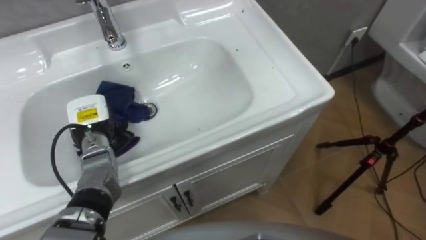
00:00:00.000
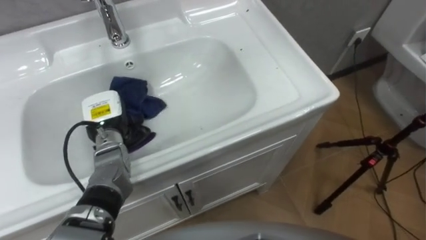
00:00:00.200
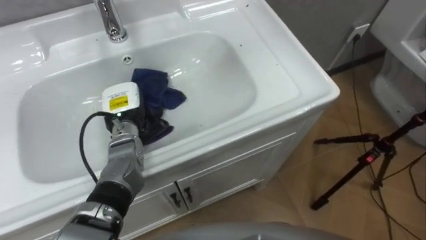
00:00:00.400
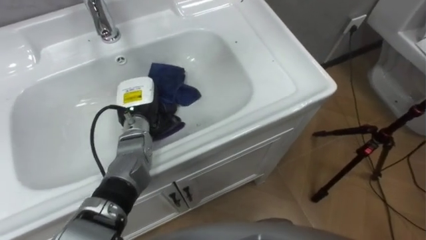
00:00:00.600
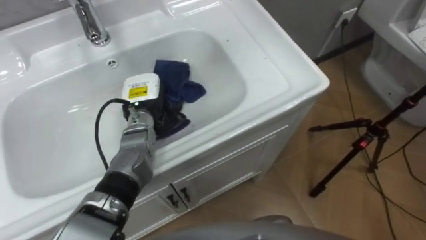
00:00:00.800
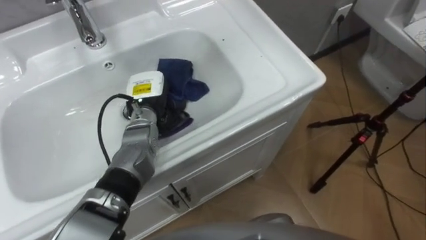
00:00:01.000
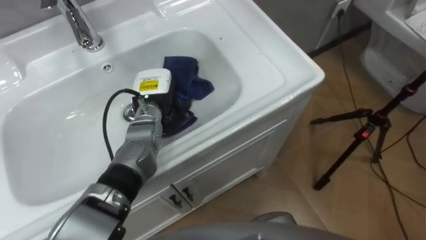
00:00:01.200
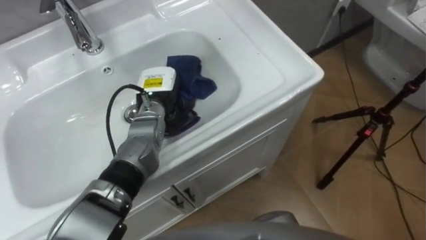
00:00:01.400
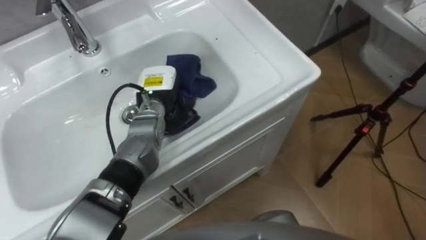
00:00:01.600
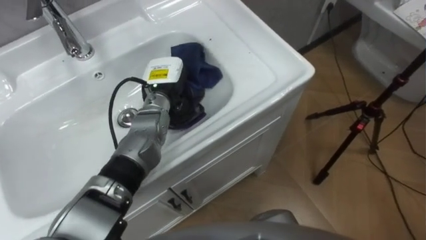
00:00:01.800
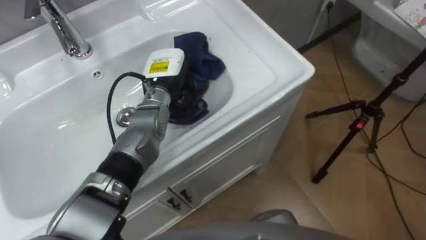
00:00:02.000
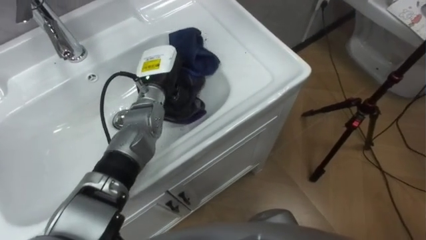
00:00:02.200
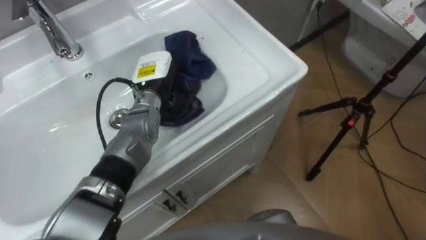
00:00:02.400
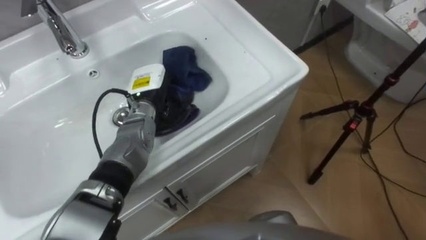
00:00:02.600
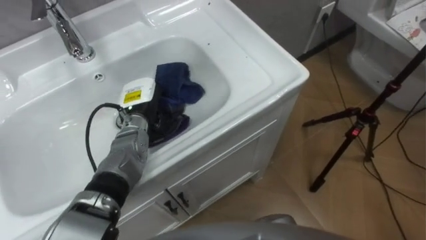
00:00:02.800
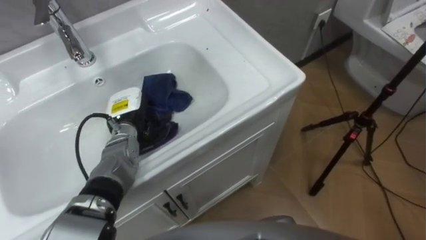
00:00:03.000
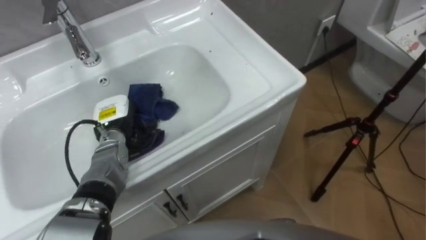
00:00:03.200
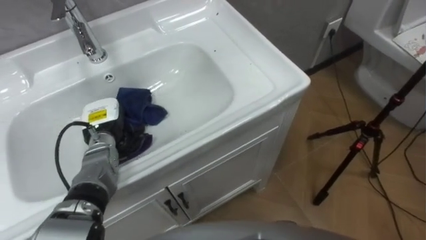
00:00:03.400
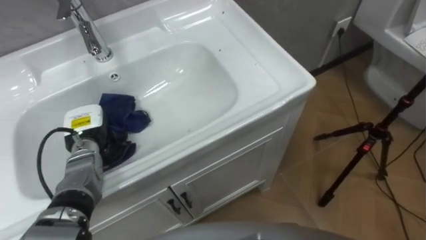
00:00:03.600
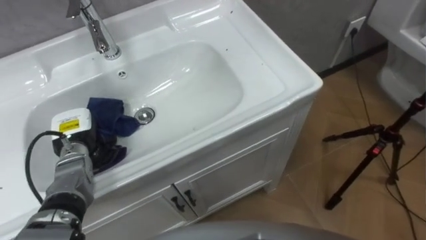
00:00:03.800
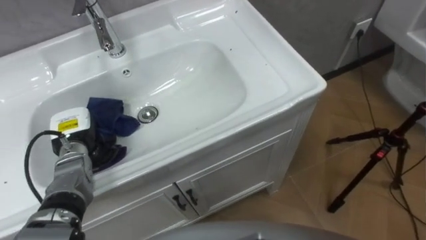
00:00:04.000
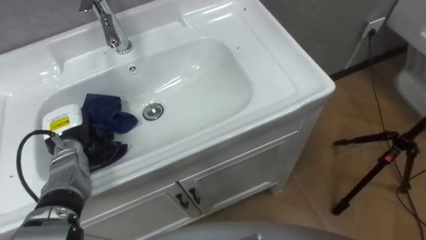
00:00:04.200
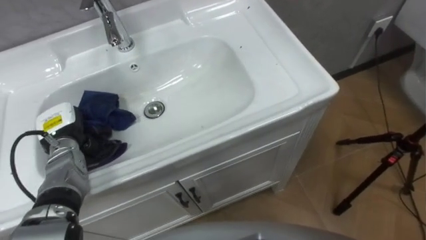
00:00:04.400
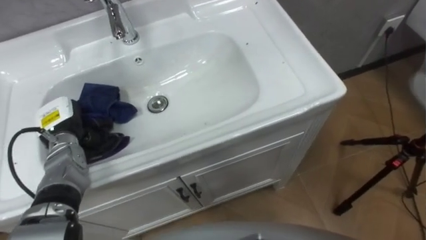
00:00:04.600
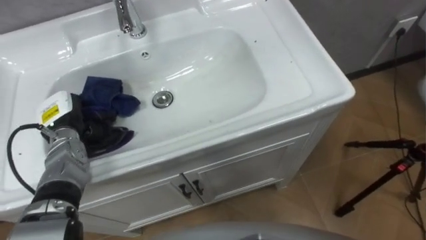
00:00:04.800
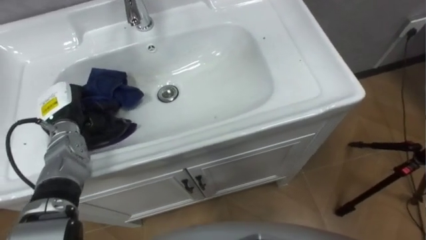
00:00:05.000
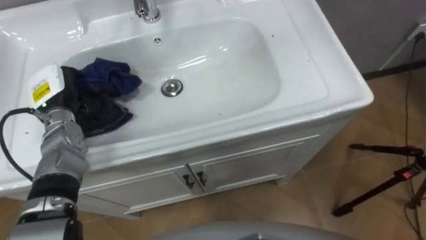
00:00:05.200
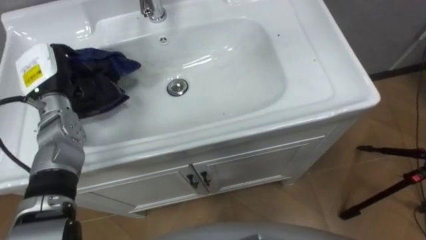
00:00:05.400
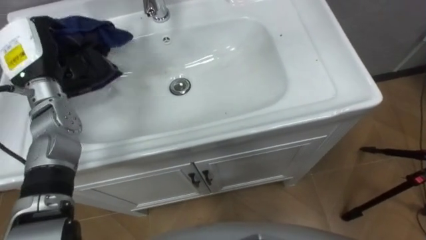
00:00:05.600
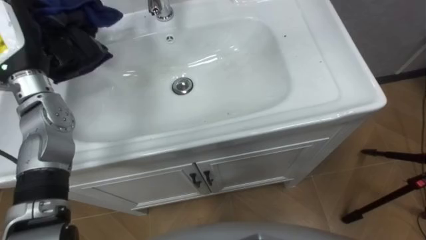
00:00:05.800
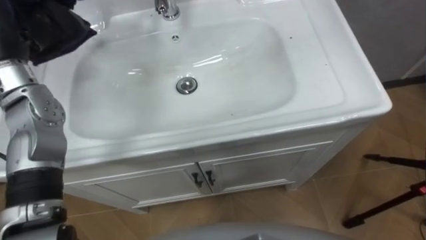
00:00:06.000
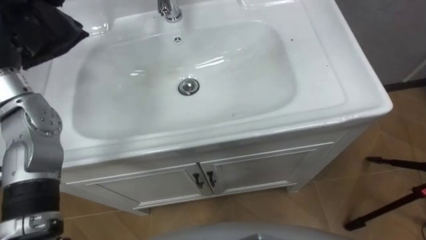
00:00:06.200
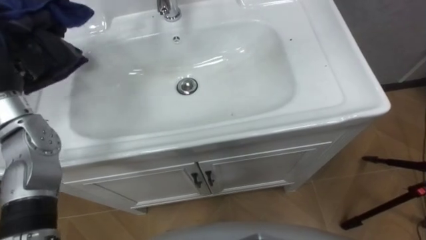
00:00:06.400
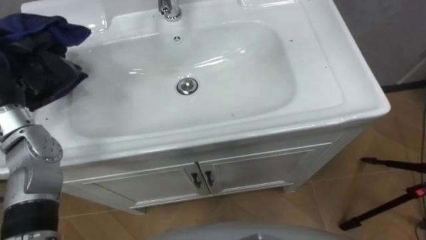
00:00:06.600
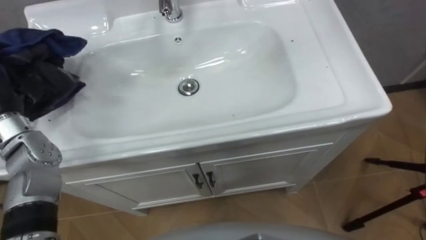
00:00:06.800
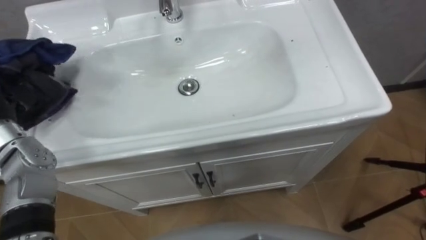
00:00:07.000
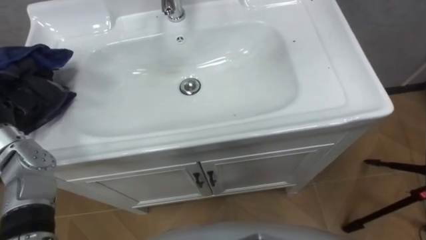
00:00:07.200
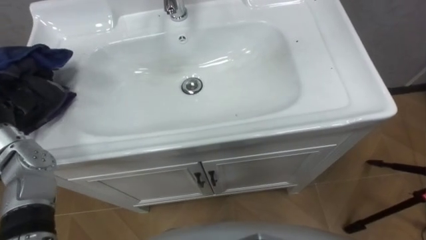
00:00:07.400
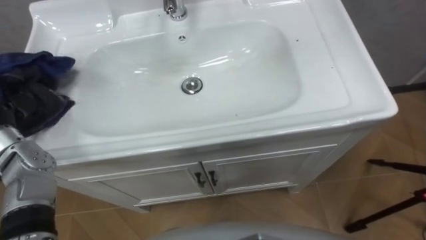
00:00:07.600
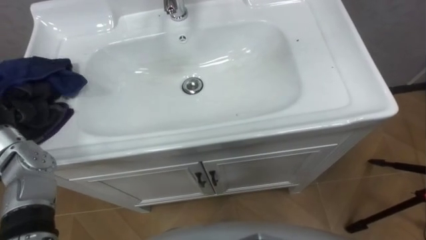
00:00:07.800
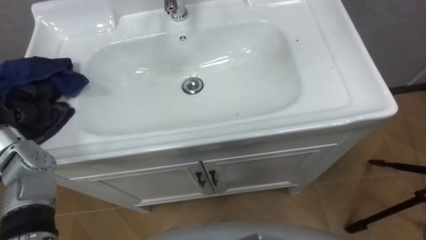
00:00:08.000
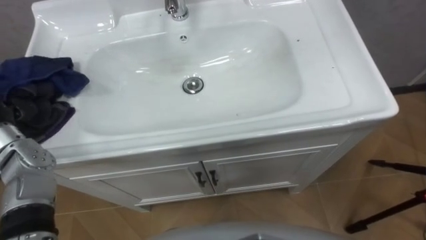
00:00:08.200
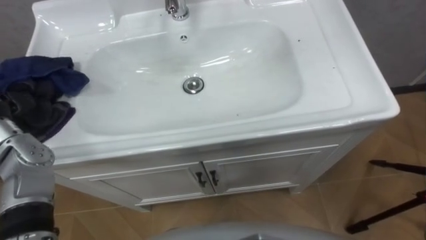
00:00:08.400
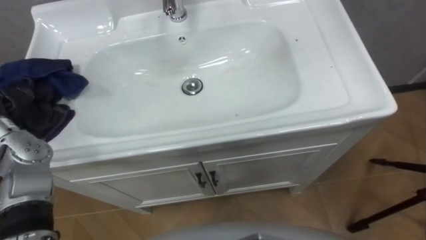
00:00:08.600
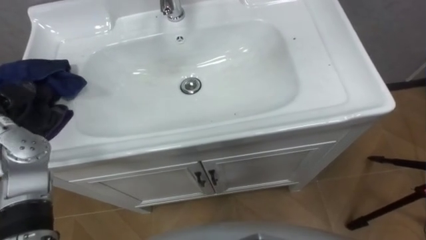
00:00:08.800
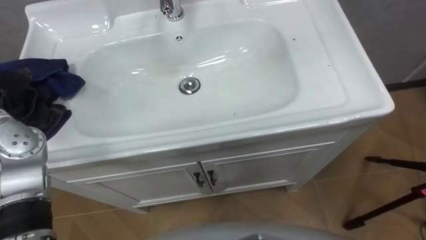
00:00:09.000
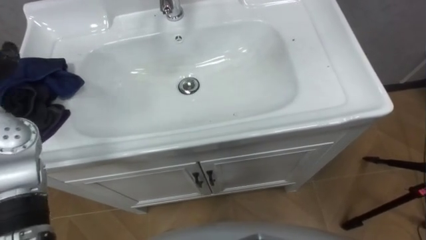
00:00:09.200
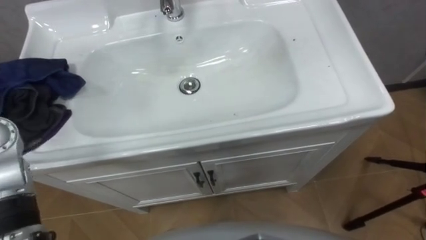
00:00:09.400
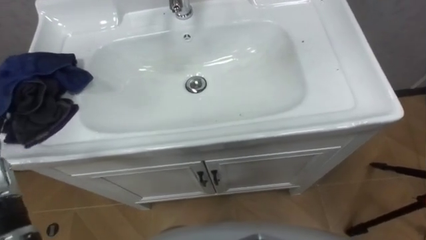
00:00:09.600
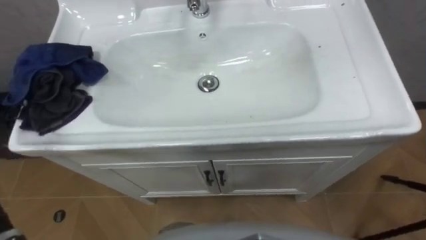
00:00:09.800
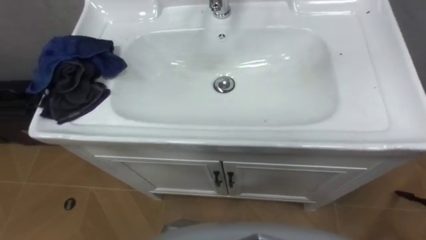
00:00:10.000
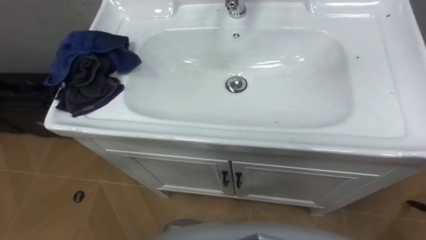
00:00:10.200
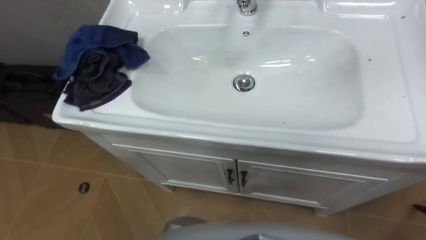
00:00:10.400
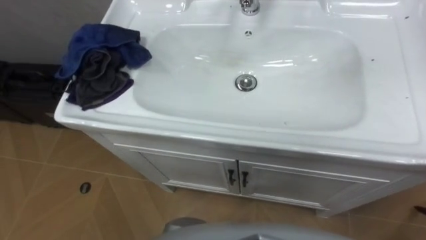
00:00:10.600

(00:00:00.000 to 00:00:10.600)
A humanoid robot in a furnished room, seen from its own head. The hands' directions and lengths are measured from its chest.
Task of the whole recording: Use the cloth on the right to wipe away the black stain in the sink.
00:00:00.000 - 00:00:01.600: The left hand heads to the right and forward, covering about 15 cm.
00:00:01.600 - 00:00:03.000: The left hand goes some 10 cm to the left.
00:00:03.000 - 00:00:04.600: The left hand is displaced to the left by approximately 15 cm.

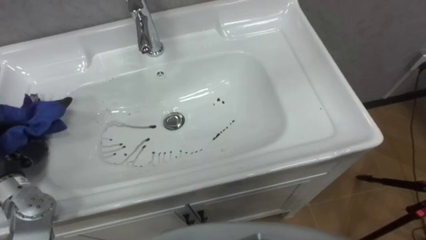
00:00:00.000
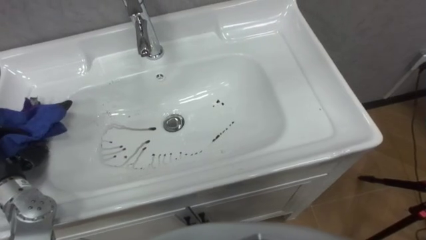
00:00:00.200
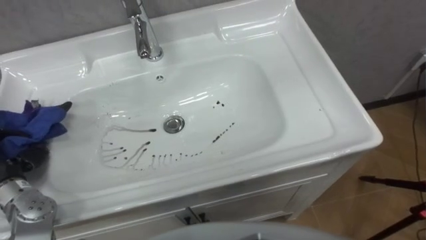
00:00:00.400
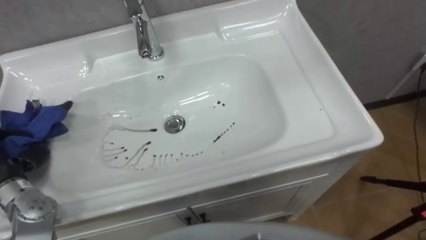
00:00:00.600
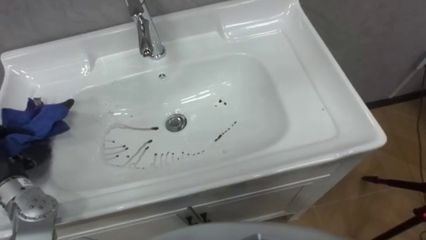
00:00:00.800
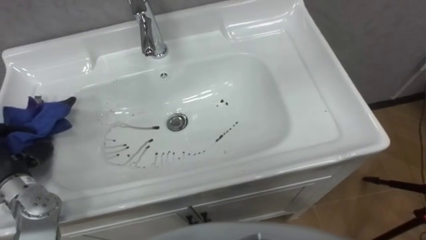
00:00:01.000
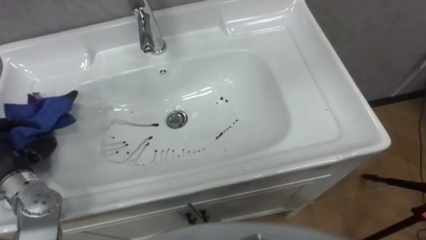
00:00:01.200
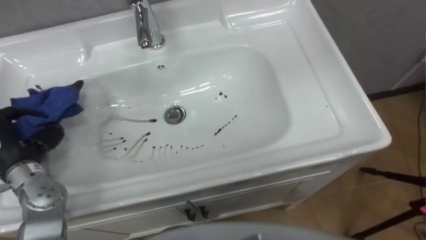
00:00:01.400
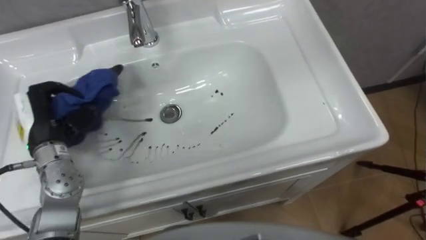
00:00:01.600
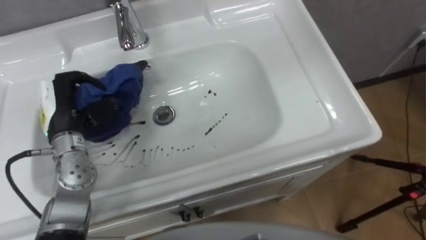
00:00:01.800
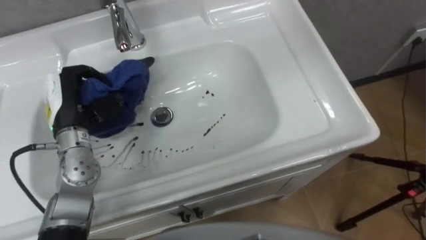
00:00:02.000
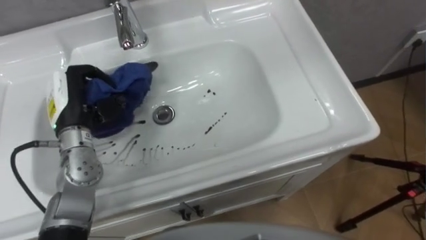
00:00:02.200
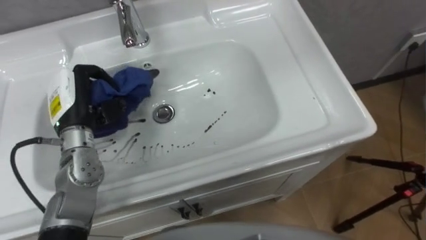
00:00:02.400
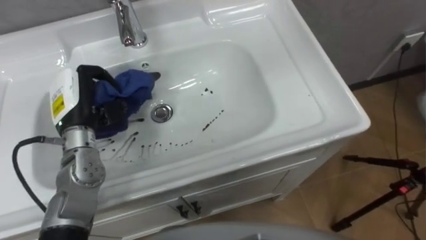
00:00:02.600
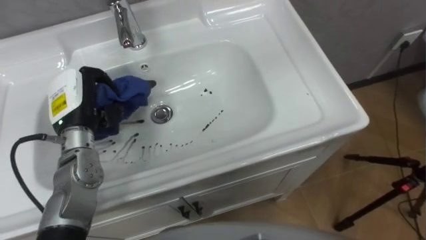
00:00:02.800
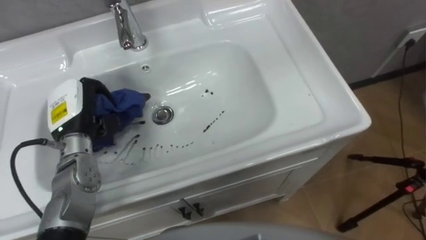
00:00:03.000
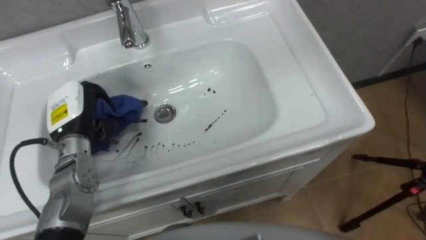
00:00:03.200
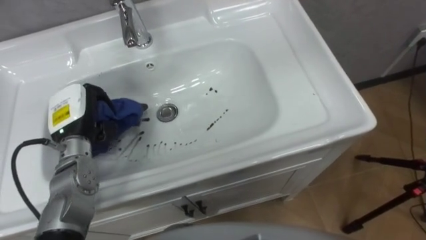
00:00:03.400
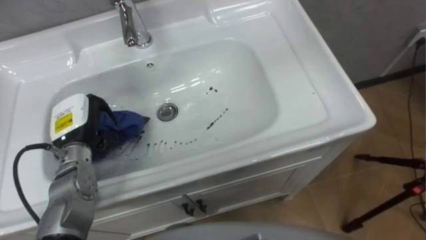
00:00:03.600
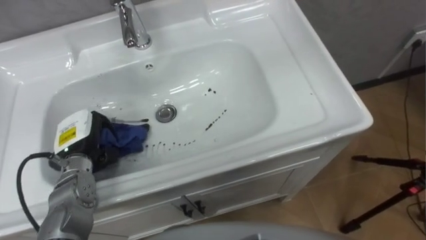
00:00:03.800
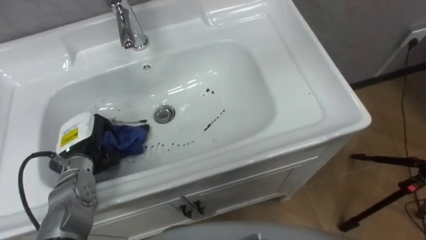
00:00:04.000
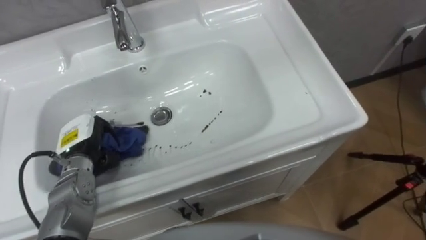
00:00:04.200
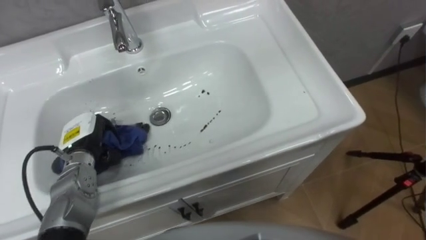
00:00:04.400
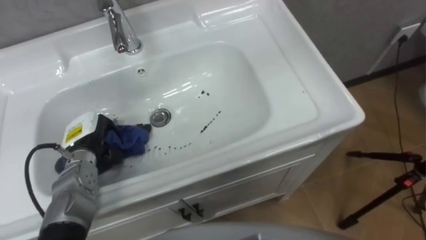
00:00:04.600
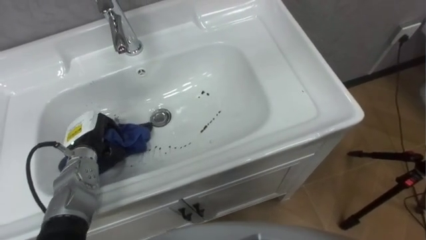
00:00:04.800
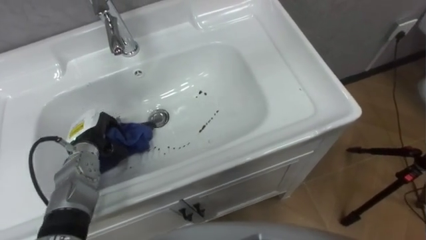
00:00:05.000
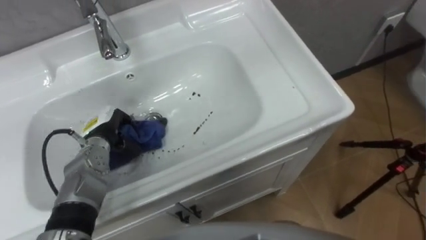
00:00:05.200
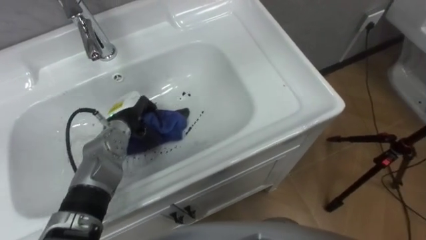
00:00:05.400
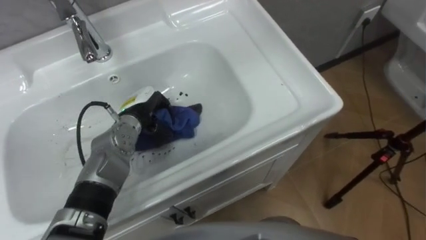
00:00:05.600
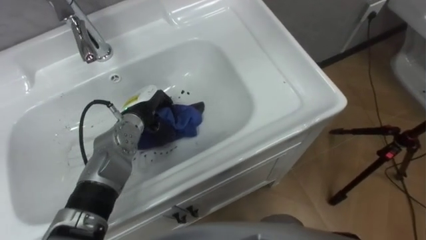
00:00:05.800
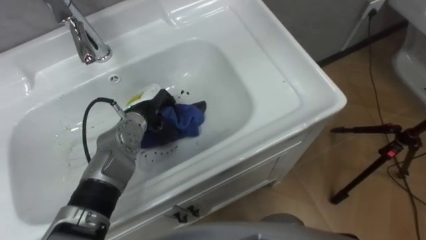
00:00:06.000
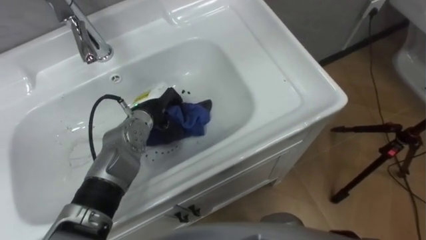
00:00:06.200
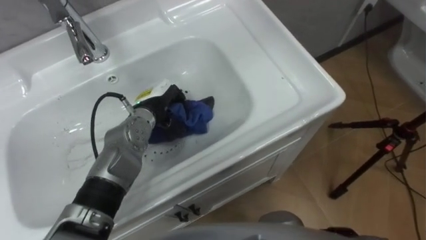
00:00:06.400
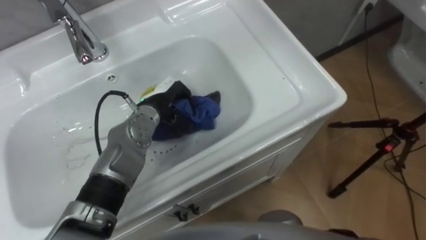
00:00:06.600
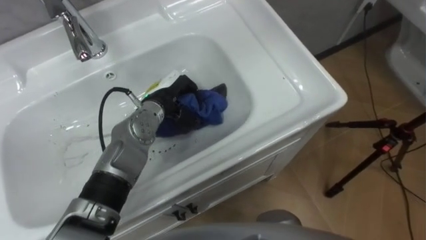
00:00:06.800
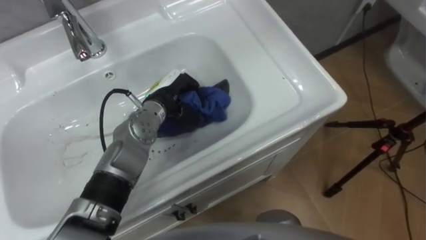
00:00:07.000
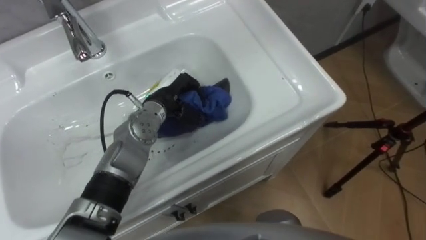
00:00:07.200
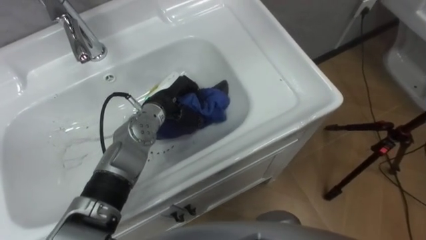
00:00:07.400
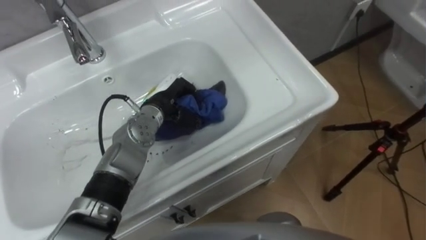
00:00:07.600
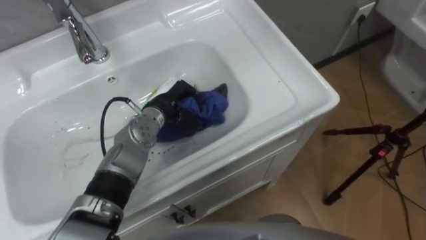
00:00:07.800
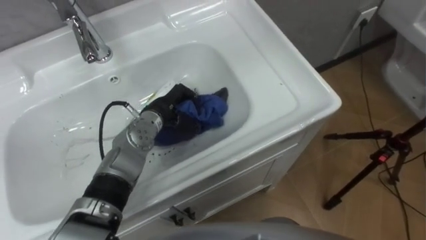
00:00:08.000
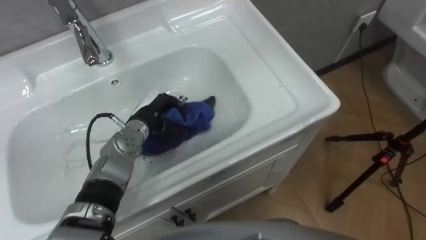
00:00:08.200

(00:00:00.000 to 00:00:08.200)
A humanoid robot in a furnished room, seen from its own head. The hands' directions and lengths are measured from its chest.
Task of the whole recording: Use the cloth on the right to wipe away the black stain in the sink.
00:00:01.600 - 00:00:03.200: The left hand travels to the right by about 5 cm.
00:00:03.200 - 00:00:05.000: The left hand goes some 10 cm downward.
00:00:05.000 - 00:00:06.600: The left hand is displaced to the right and forward by some 15 cm.
00:00:06.600 - 00:00:08.200: The left hand ends up some 5 cm from where it was.
